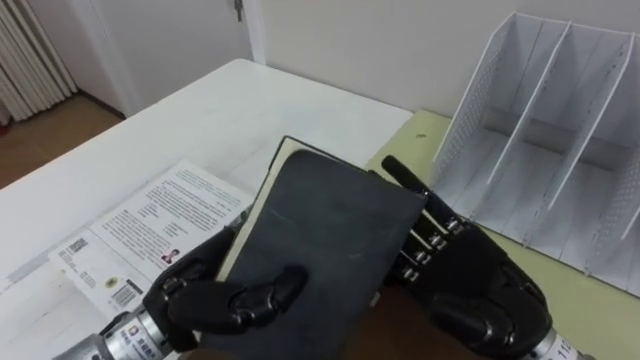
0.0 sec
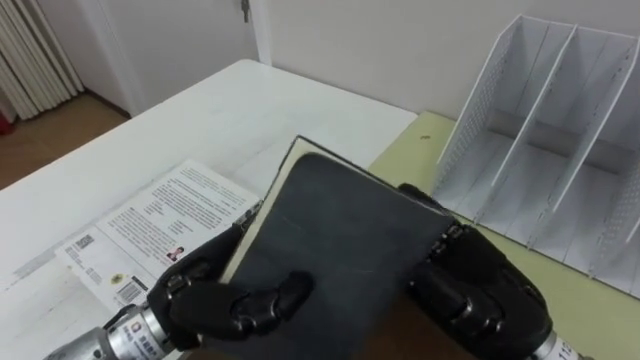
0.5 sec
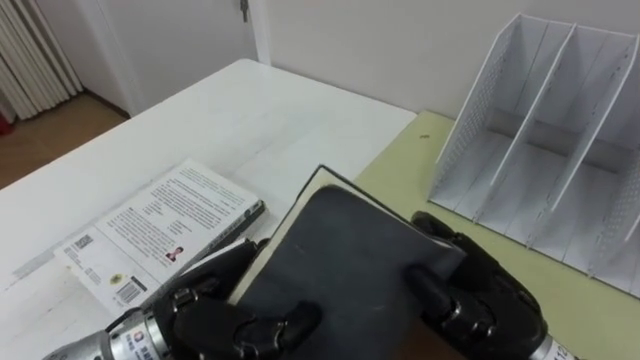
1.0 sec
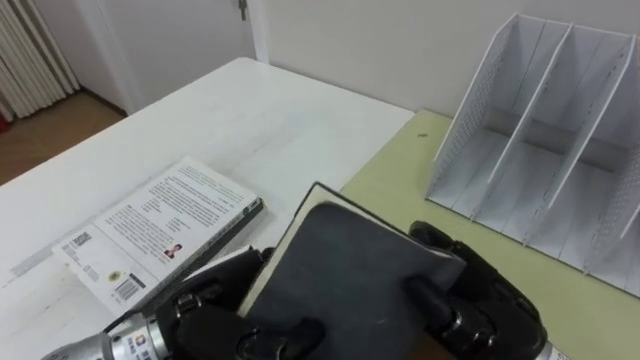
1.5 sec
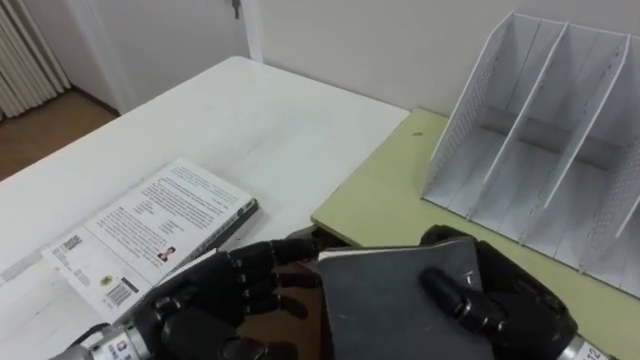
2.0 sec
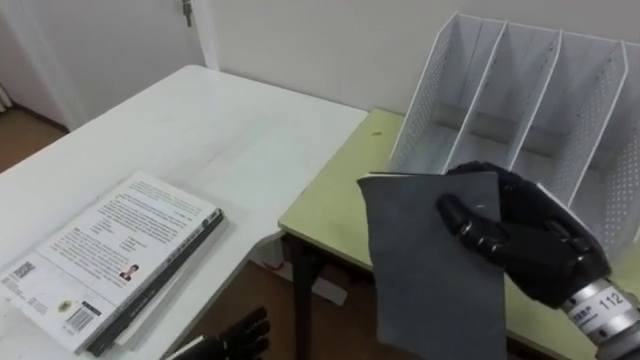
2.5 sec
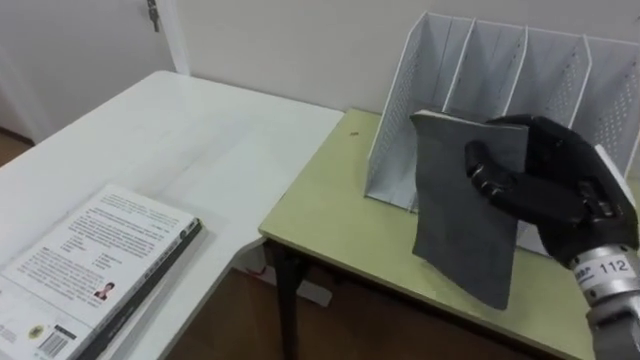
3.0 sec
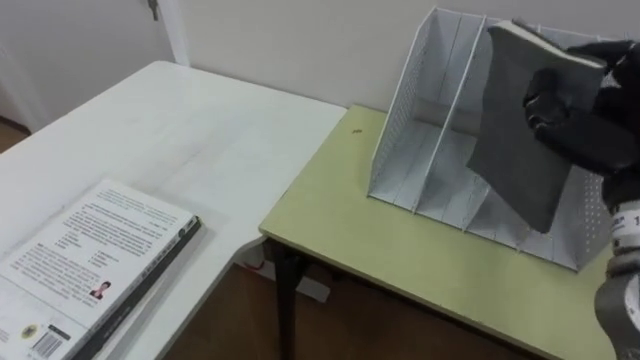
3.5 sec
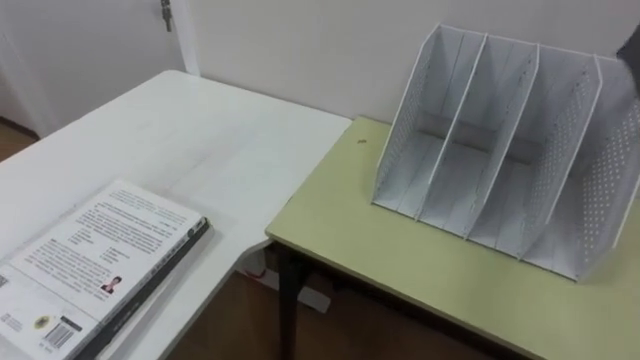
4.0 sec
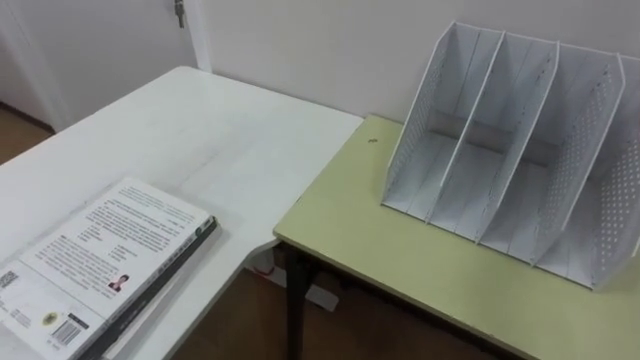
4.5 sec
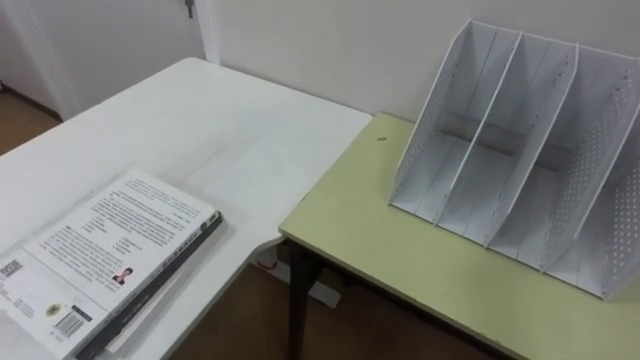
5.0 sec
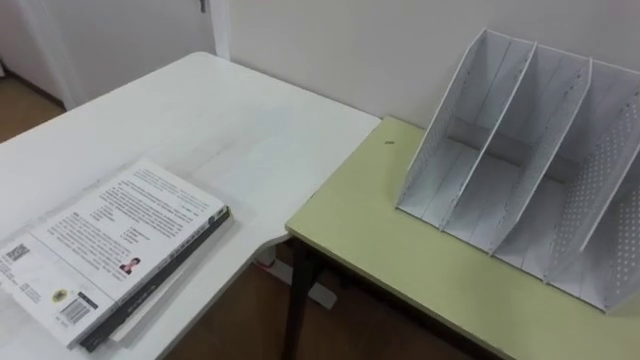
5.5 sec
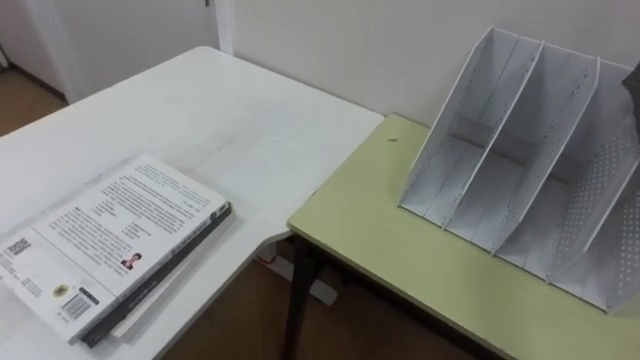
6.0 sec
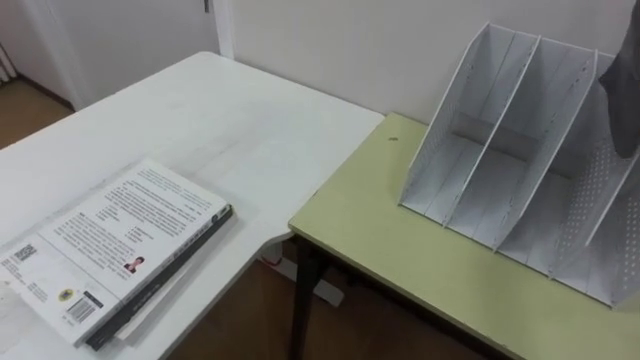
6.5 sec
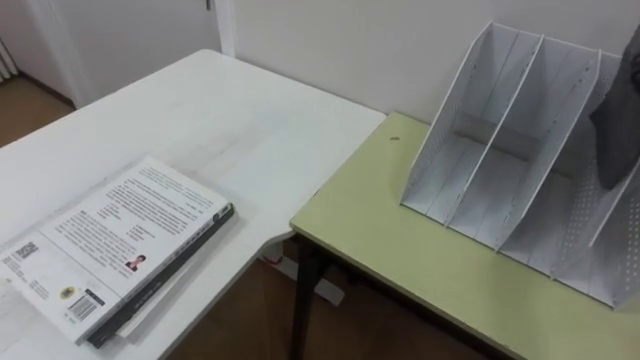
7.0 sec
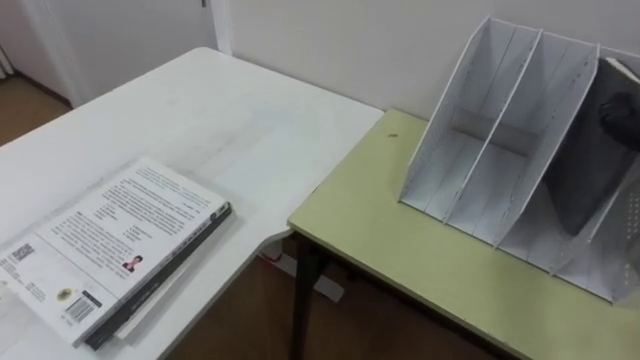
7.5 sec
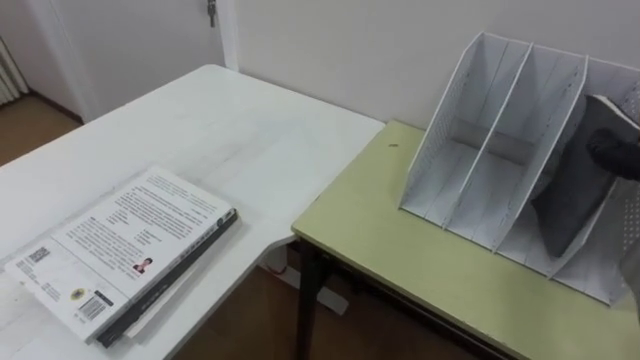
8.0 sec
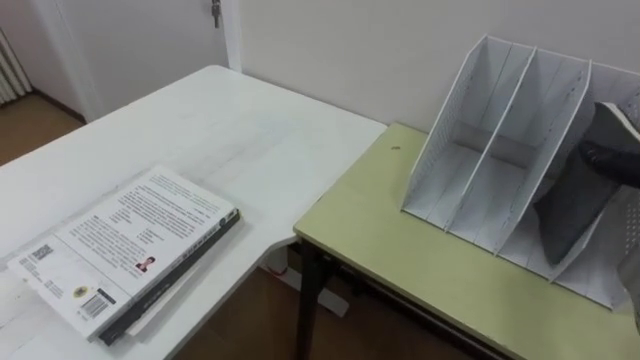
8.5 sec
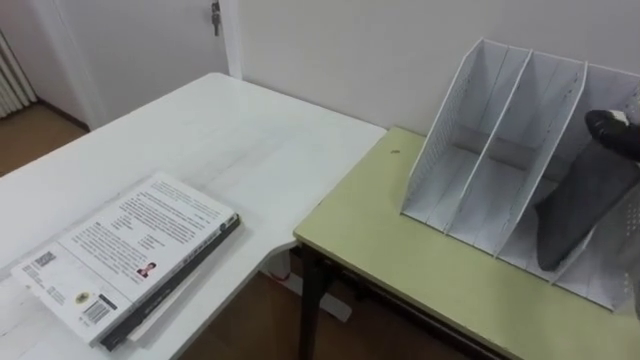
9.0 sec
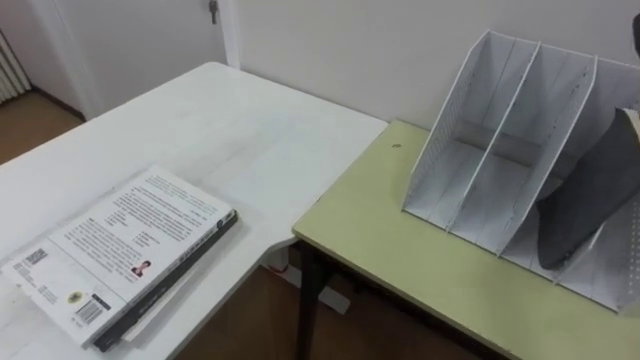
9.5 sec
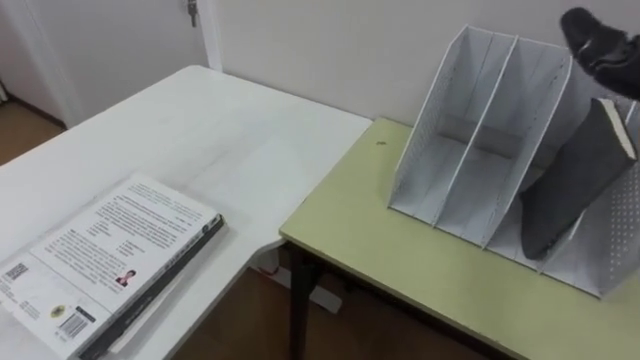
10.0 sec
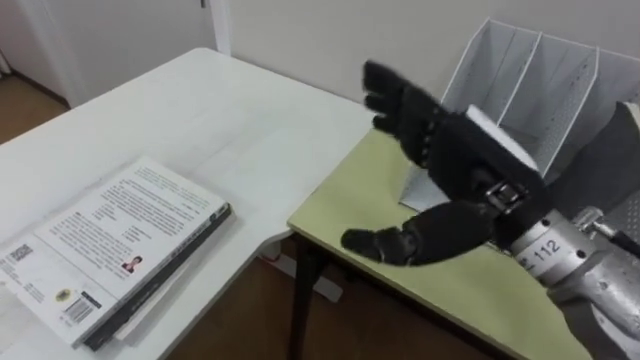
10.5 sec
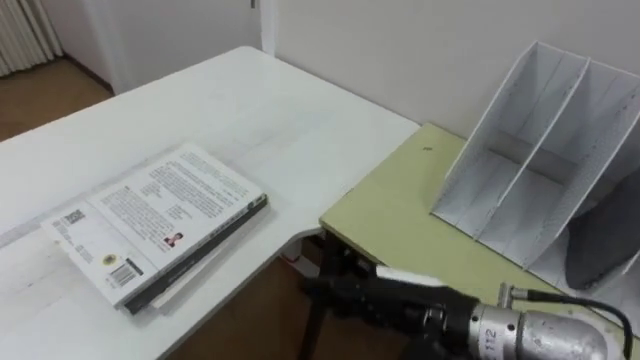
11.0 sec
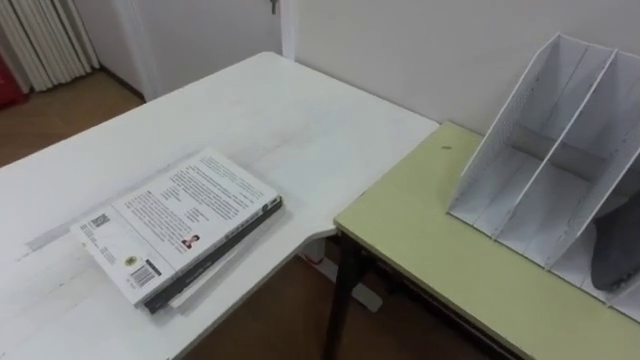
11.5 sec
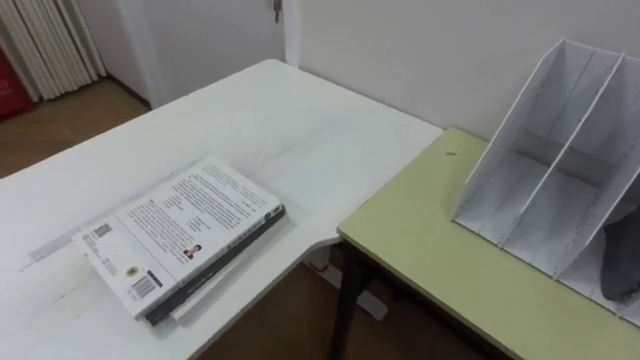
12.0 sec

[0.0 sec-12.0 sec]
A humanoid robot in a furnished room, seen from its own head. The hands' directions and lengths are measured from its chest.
Task of the whole recording: Put the books on the table onto the bookshelf.
0.0 sec to 2.0 sec: The left hand opens. The right hand closes up.

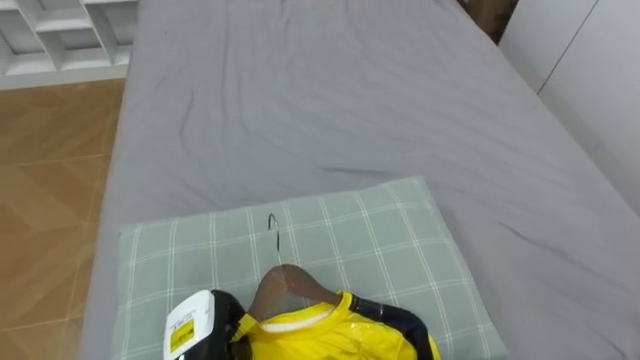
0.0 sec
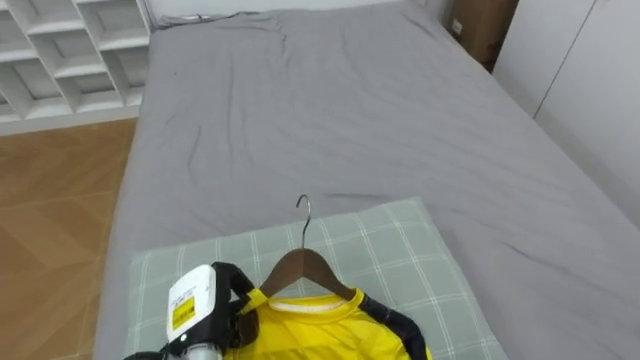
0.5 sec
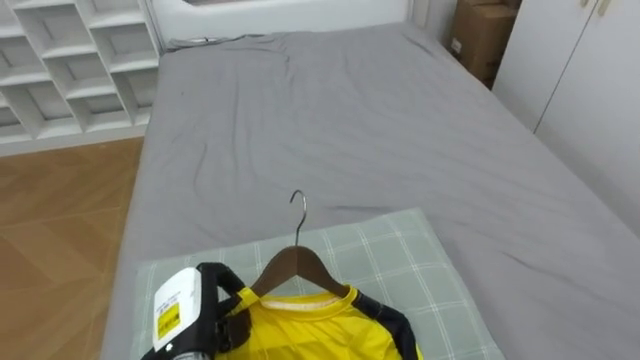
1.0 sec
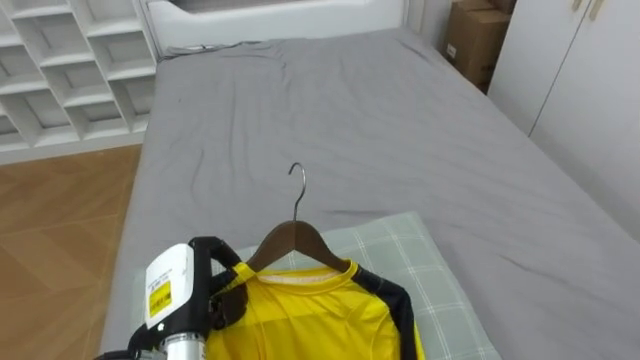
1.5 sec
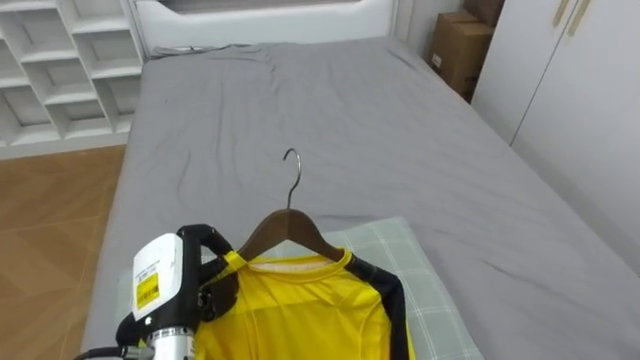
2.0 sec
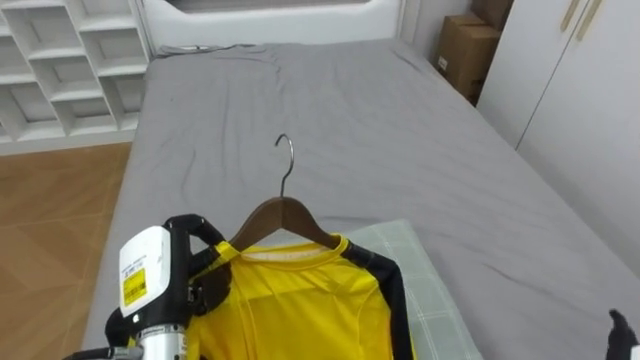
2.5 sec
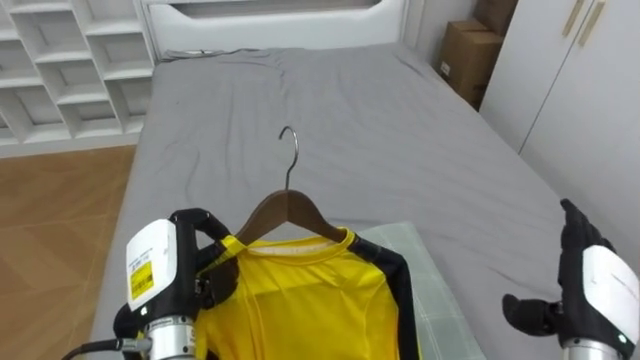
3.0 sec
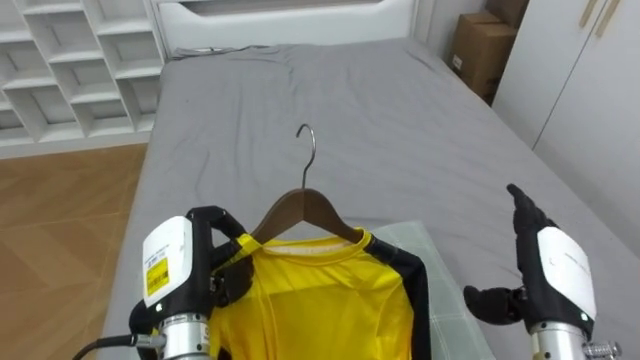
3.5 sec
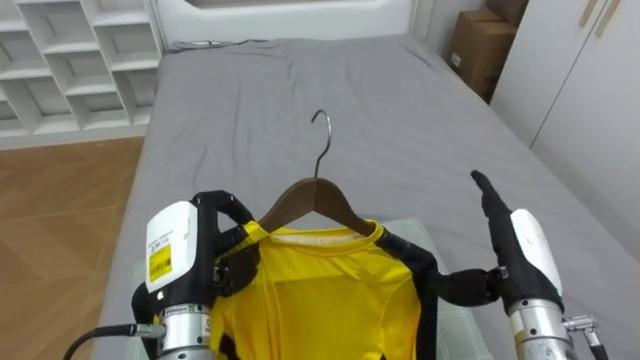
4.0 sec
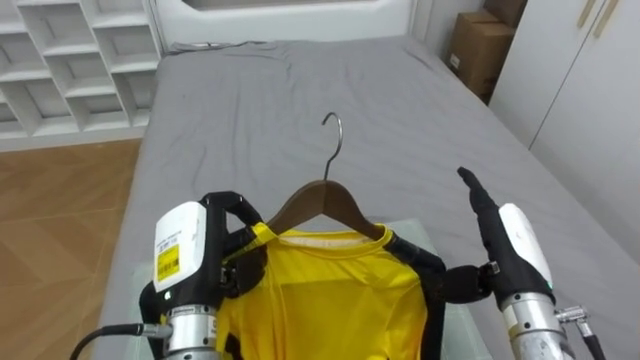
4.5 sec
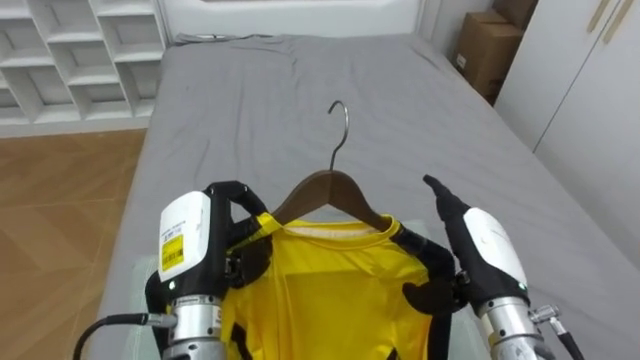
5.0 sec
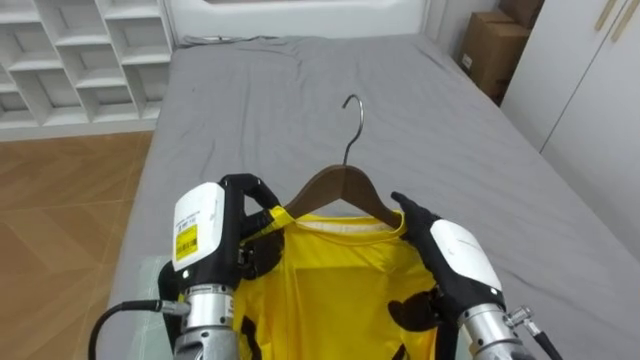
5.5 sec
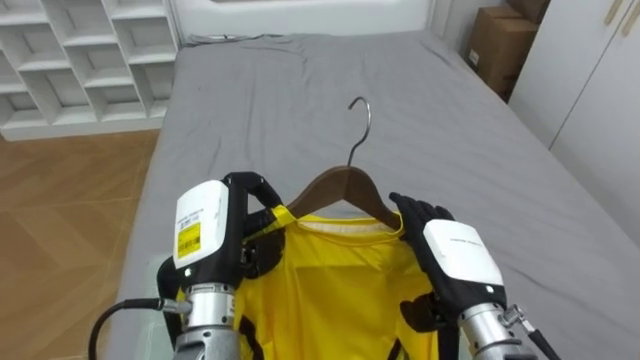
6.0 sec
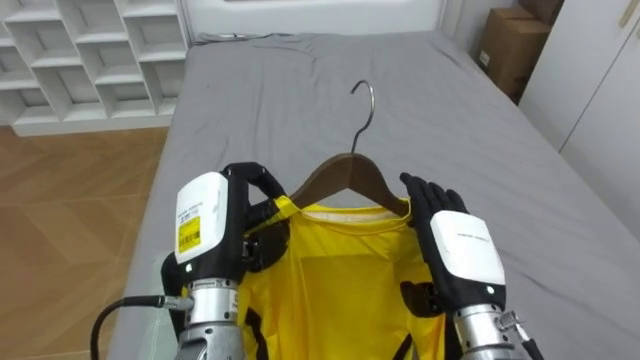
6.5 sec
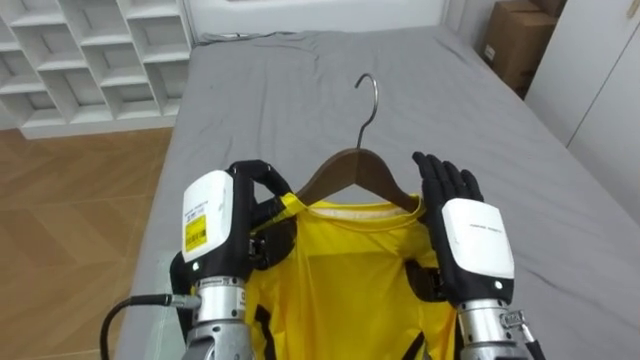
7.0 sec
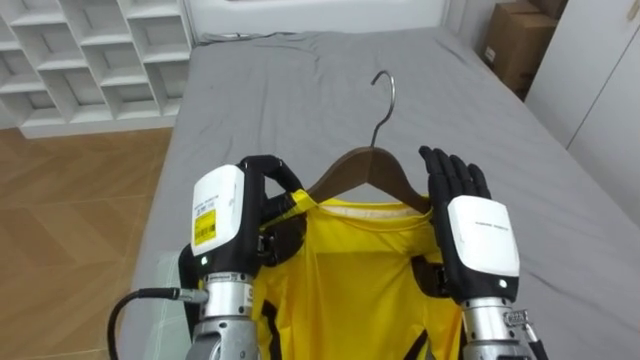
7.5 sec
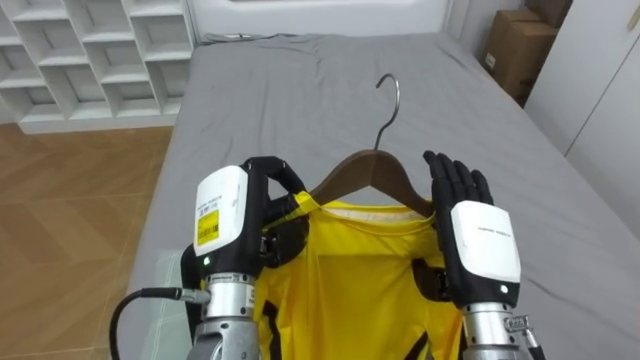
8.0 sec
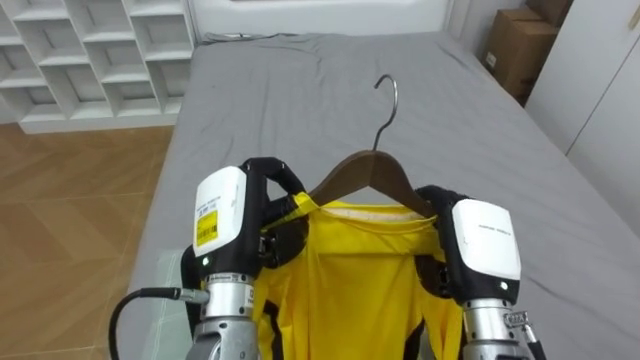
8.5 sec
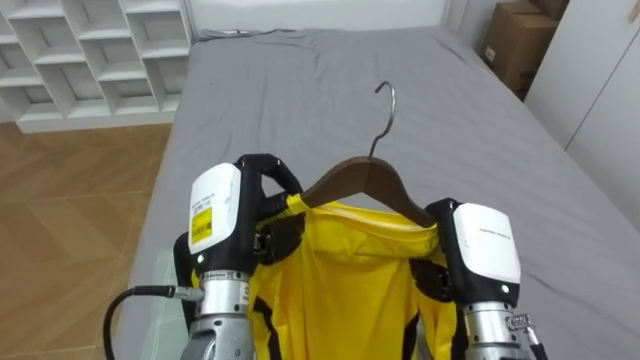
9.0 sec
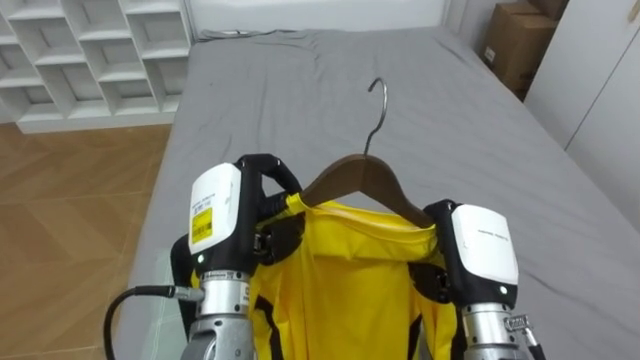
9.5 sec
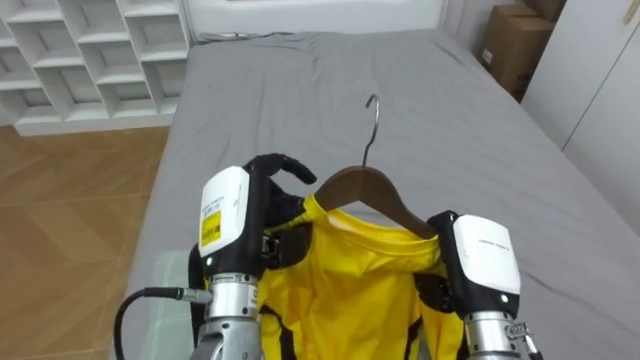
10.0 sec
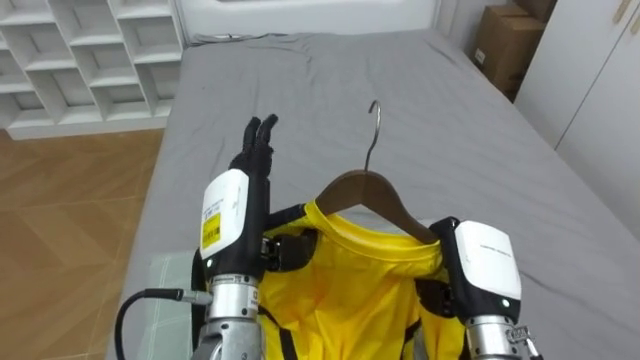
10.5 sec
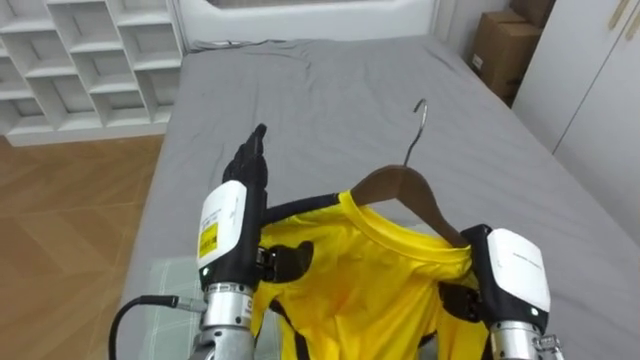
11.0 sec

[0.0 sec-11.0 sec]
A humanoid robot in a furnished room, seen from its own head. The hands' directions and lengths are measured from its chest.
Task of the whole recording: Pick up the yellow shirt on the bed and hang it on the clothes rack on the right.
0.0 sec to 2.0 sec: The left hand heads upward, covering roughly 10 cm.
3.5 sec to 5.5 sec: The right hand travels to the left by about 10 cm. Meanwhile the left hand shifts by approximately 5 cm.
7.5 sec to 9.0 sec: The right hand closes up.
9.0 sec to 11.0 sec: The left hand opens up, while the right hand ends up some 5 cm from where it was.
